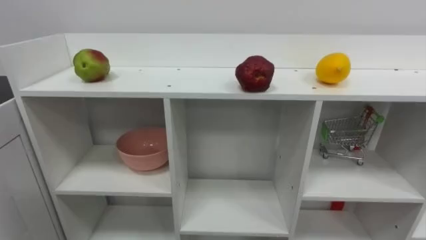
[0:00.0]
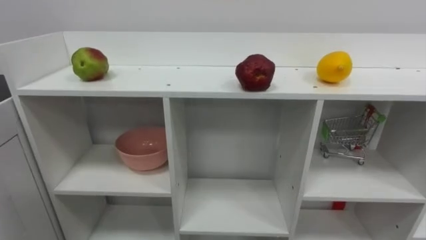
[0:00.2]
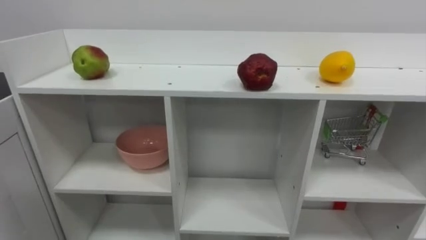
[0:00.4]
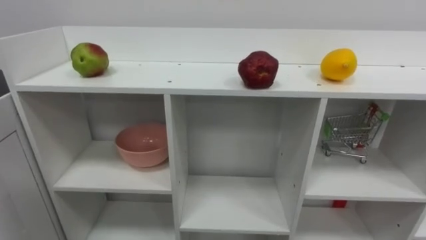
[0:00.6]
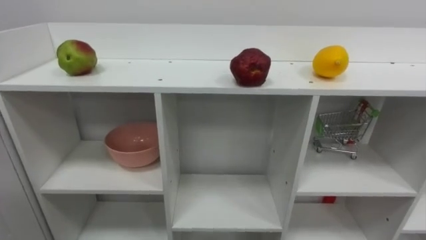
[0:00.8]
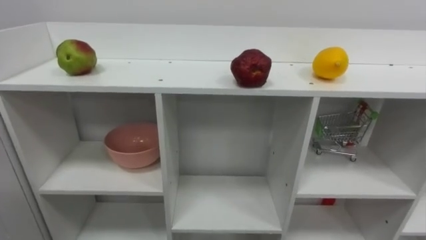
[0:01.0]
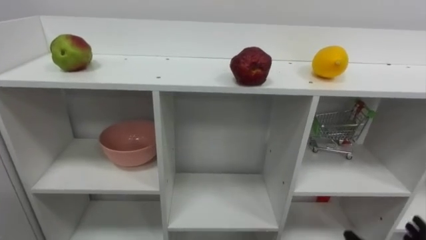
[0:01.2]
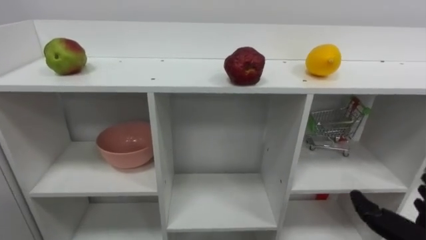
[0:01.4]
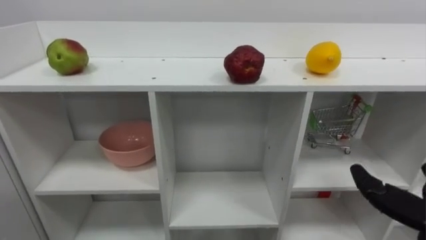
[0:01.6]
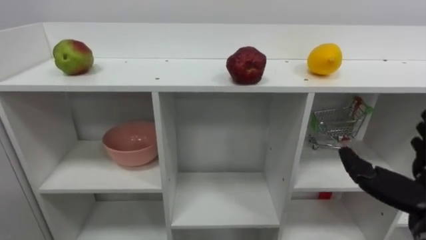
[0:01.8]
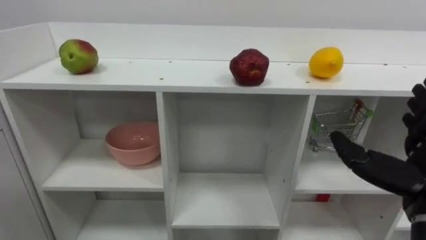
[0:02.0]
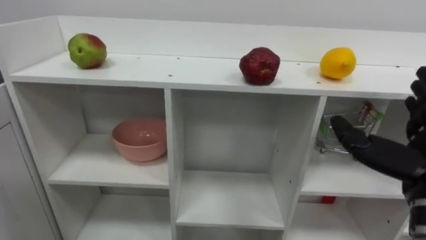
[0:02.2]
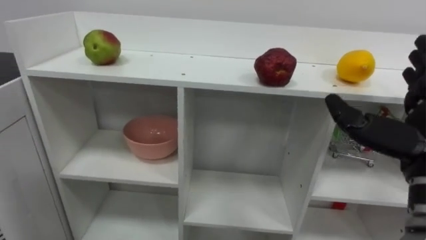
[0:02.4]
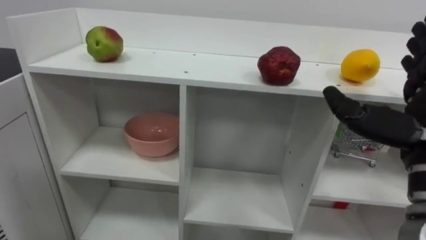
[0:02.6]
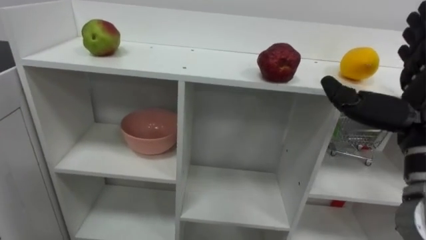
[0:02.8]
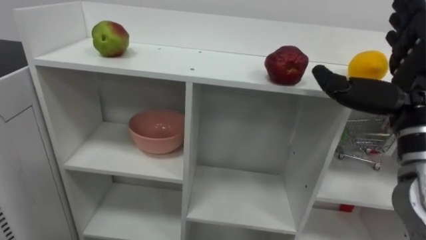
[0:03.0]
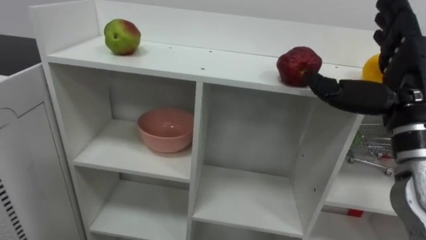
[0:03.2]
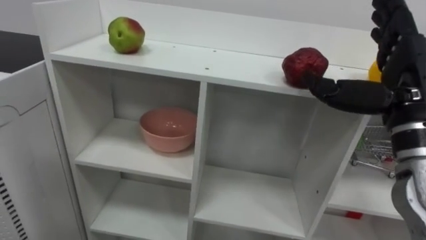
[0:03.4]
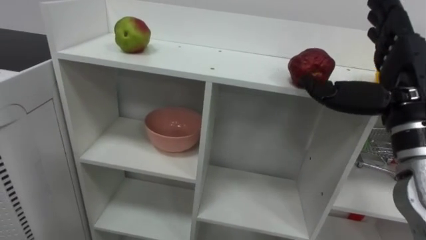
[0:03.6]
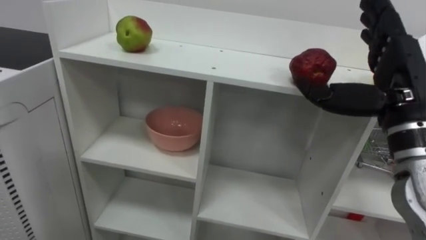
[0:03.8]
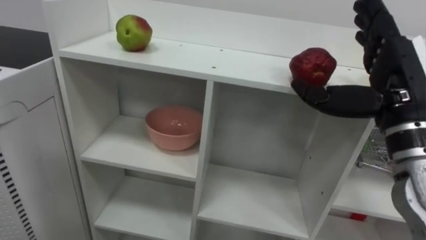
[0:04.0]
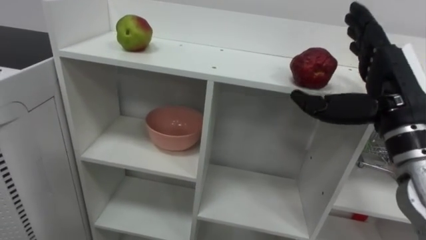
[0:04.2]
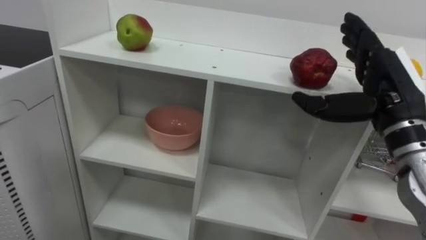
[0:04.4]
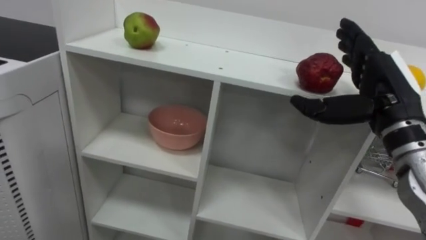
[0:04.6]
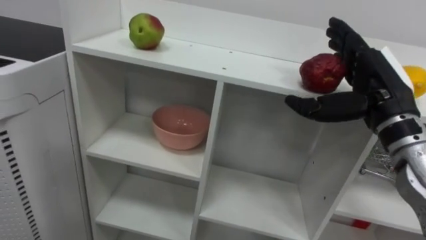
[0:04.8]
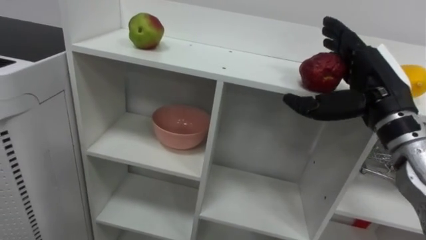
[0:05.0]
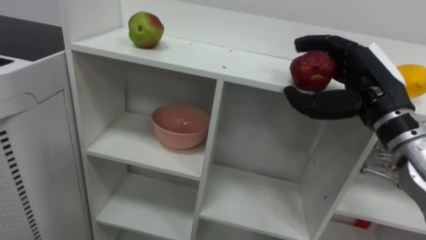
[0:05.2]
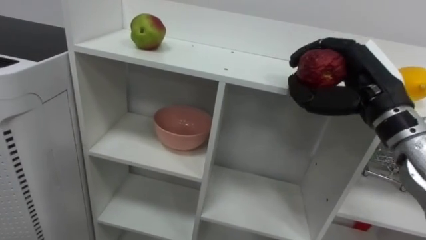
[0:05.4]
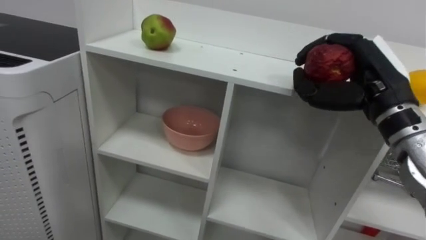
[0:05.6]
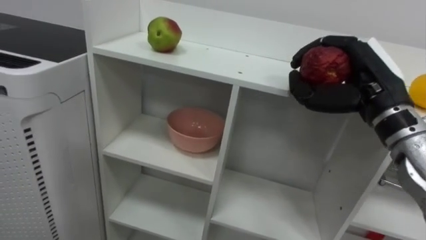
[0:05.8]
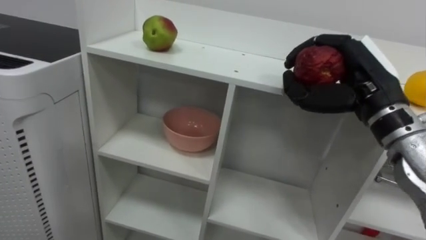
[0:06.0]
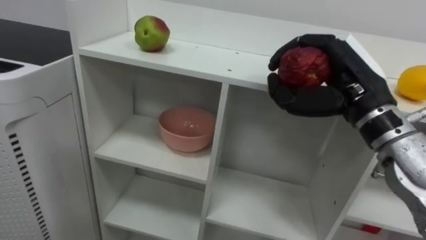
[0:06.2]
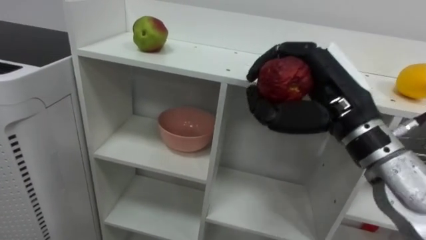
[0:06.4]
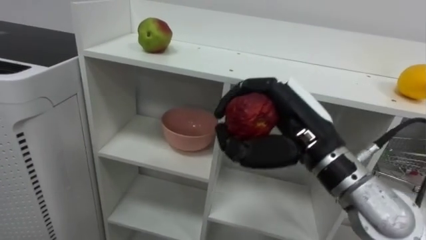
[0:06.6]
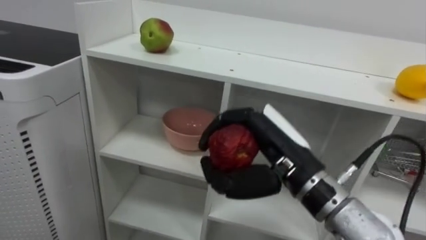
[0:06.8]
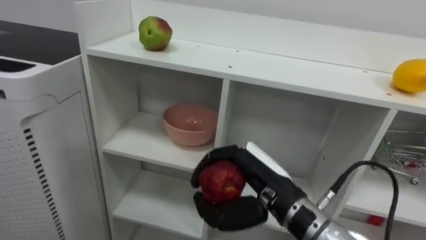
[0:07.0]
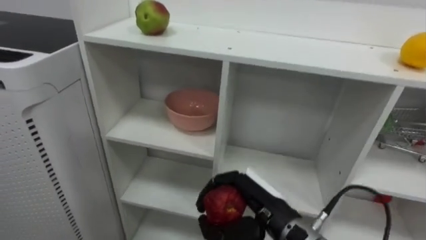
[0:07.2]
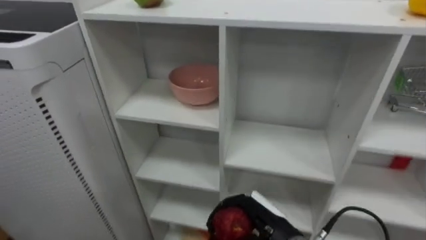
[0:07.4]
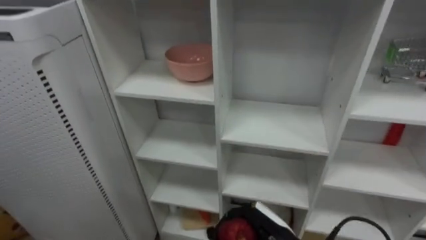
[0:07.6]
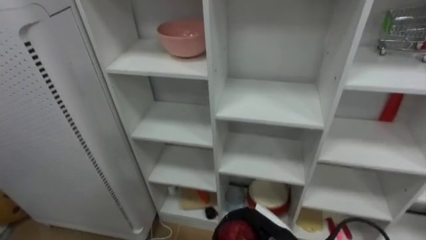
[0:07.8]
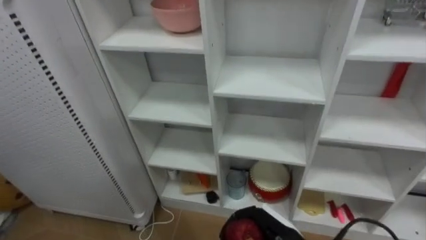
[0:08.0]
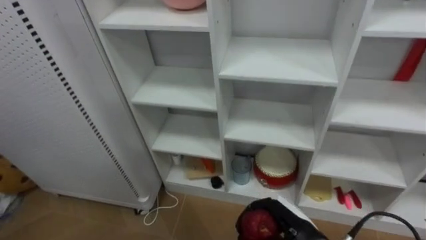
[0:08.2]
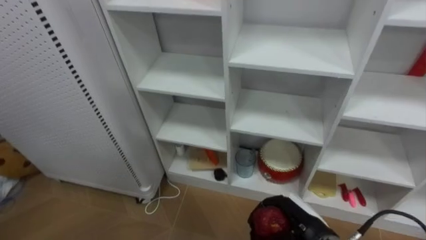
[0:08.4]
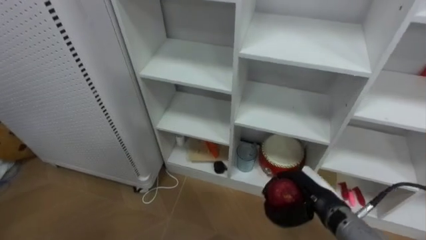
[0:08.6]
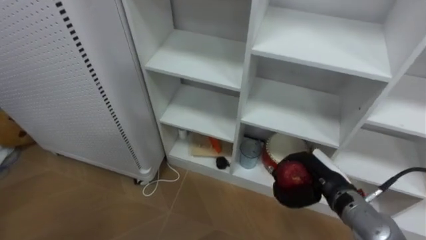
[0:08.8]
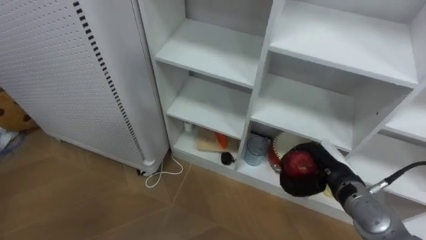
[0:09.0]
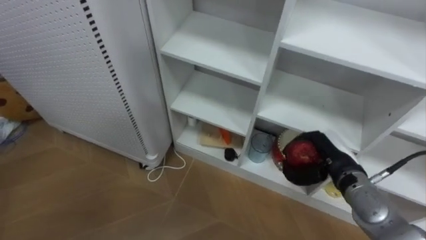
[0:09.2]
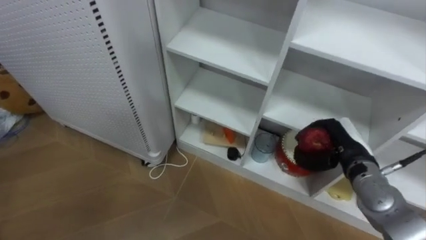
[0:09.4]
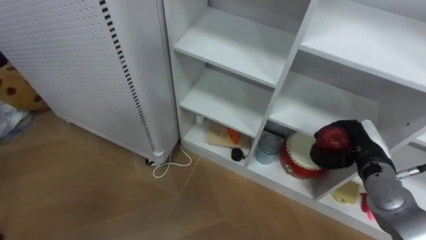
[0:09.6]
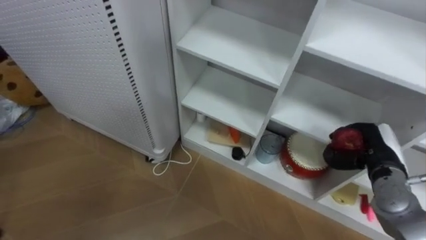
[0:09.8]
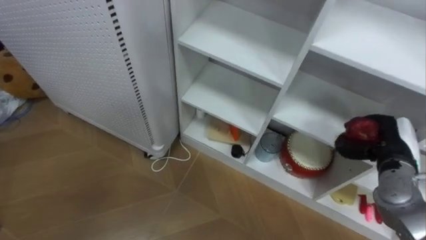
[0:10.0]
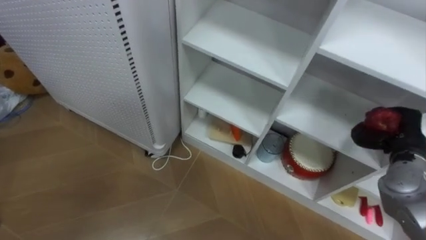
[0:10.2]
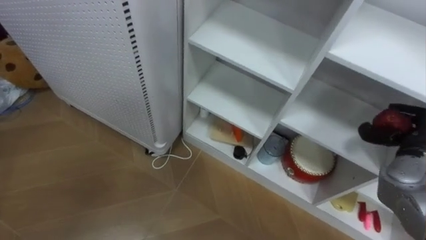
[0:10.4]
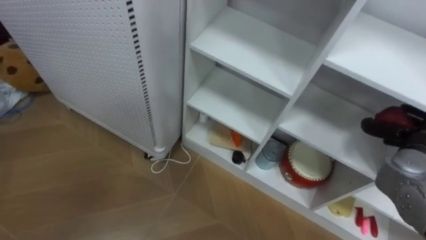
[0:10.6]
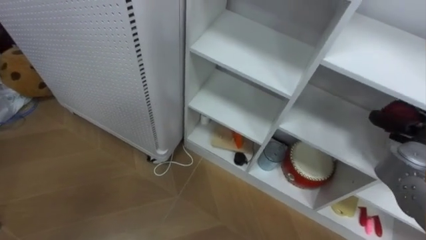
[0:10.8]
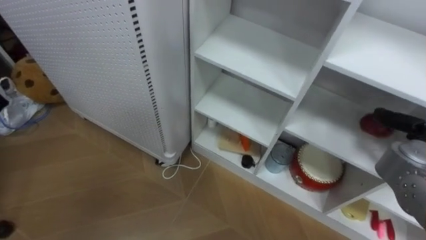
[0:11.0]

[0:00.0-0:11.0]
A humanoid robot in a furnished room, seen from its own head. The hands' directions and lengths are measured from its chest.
Task of the whole recording: Put the apple in the cell in the second column from the left and the second row from the top.
0:04.8 to 0:06.2: The right hand ends up about 5 cm from where it was, and closes up.
0:06.2 to 0:07.8: The right hand goes roughly 25 cm downward.
0:07.8 to 0:09.4: The right hand moves to the right, upward and forward, roughly 20 cm.
0:09.4 to 0:11.0: The right hand shifts approximately 10 cm to the right, and opens.

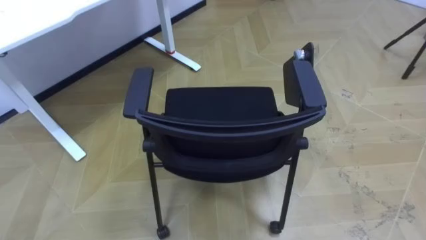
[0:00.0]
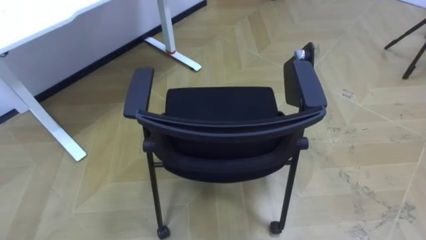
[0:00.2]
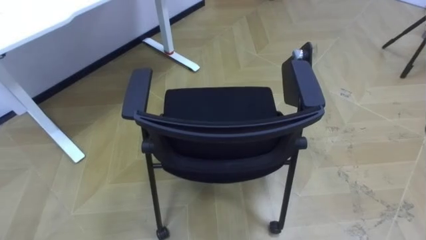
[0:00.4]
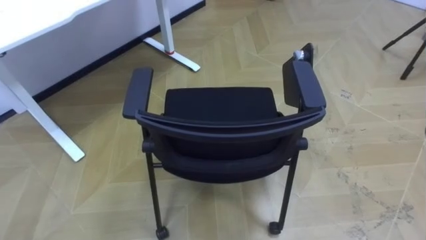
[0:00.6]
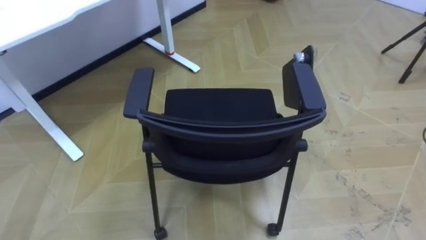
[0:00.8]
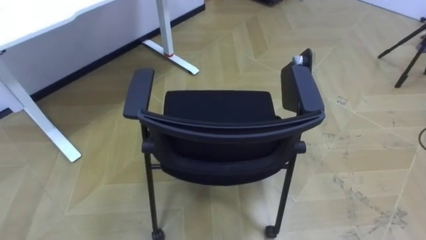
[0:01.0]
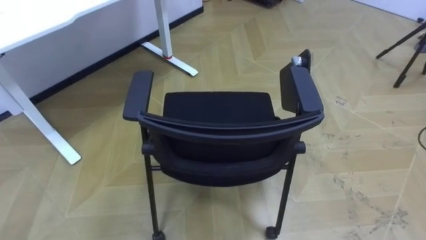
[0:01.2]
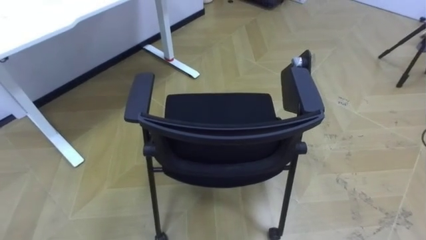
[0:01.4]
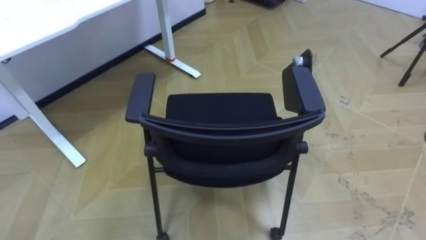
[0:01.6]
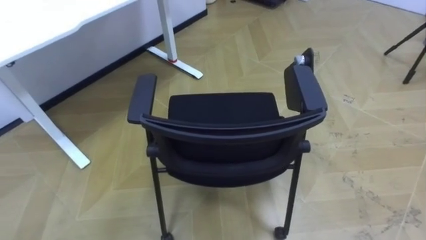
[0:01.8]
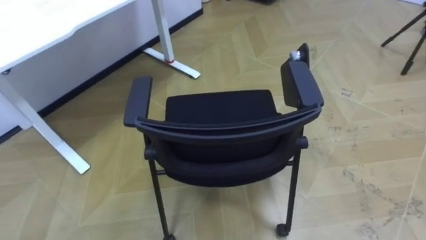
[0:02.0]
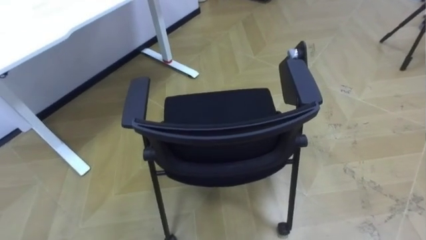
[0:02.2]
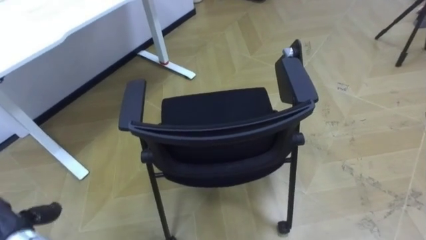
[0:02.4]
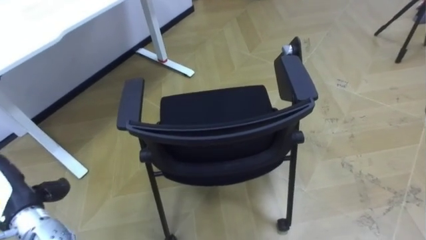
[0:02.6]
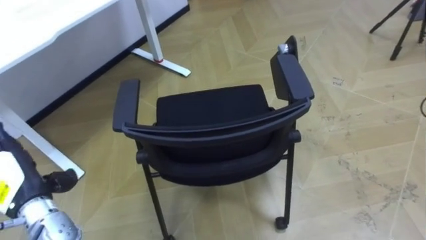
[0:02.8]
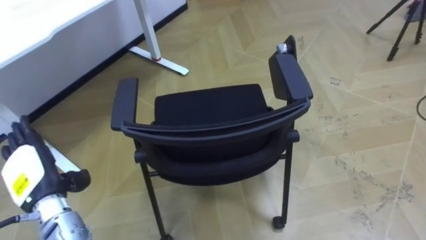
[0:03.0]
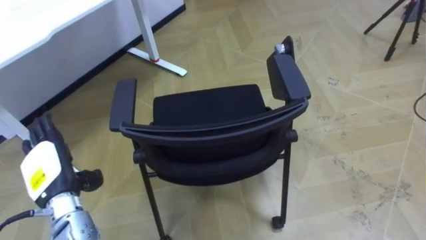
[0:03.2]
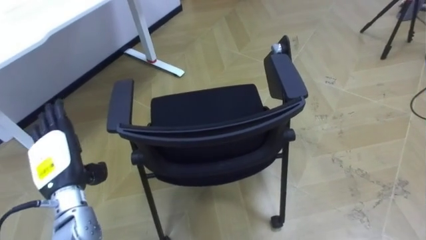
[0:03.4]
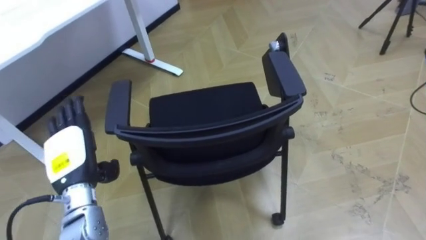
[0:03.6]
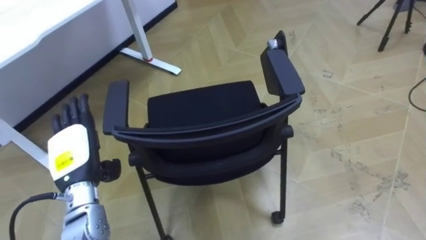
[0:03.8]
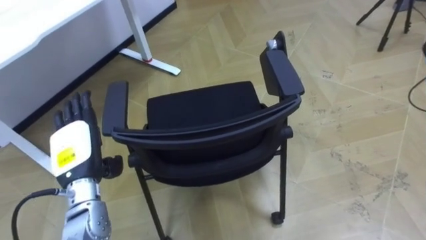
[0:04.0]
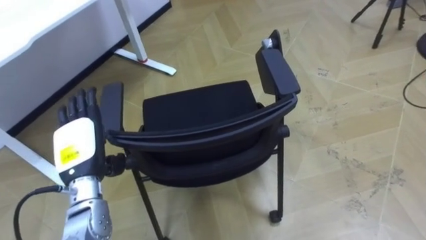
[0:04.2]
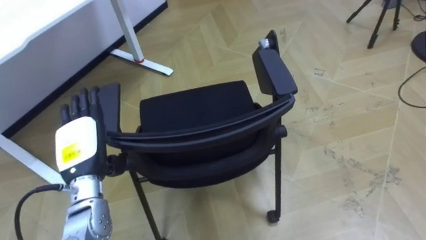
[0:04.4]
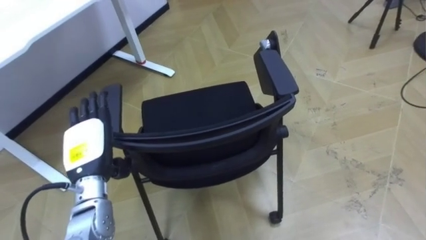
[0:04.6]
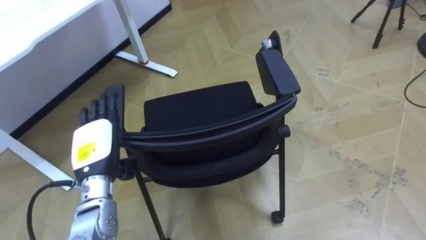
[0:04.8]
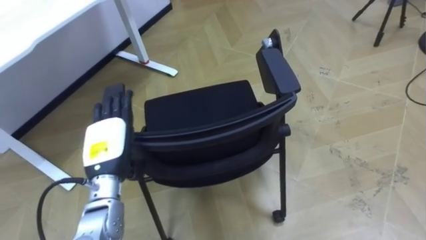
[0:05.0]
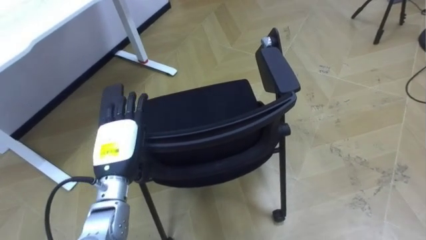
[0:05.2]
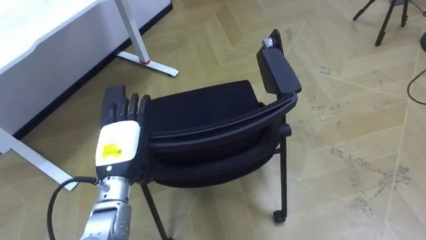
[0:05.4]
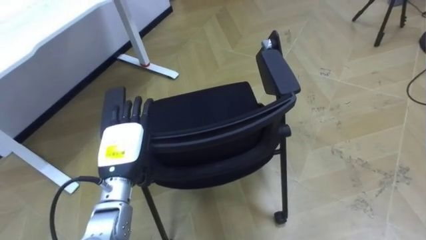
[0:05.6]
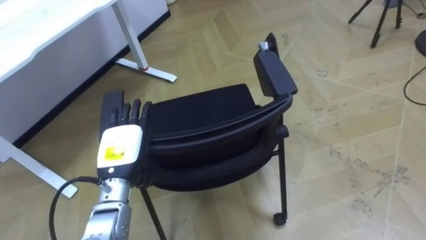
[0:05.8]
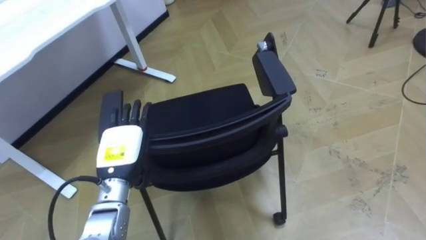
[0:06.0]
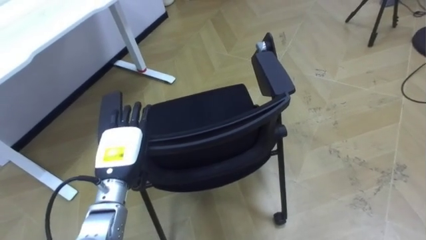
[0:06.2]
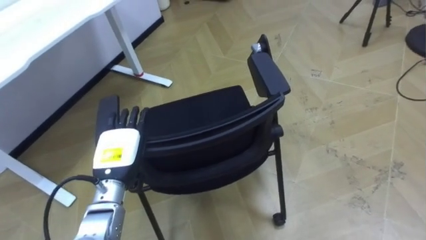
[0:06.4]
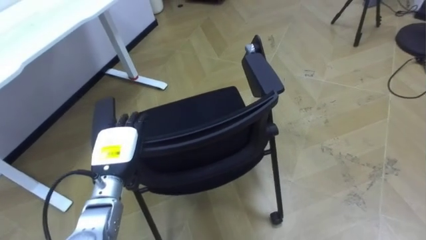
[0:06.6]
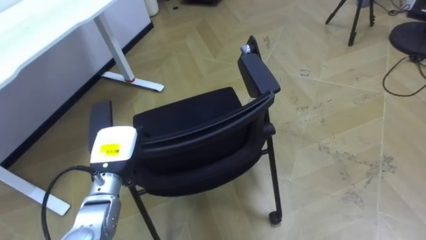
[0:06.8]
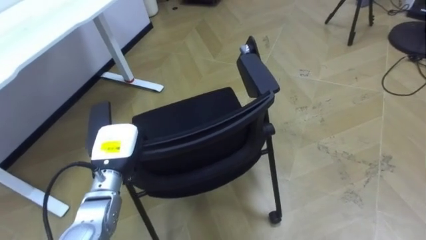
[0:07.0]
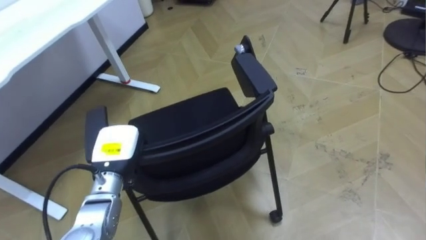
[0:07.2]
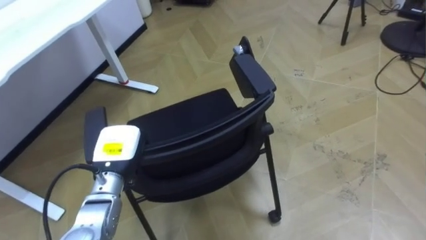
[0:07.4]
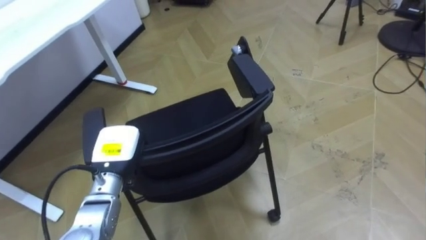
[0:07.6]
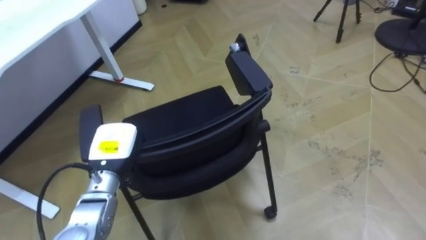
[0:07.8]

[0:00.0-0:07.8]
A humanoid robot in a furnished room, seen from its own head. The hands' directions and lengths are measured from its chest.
Task of the whole recording: Push the chair under the table.
0:03.2 to 0:04.6: The left hand travels to the right by some 5 cm.
0:04.6 to 0:06.2: The left hand shifts some 5 cm to the right.
0:06.2 to 0:07.8: The left hand closes.
